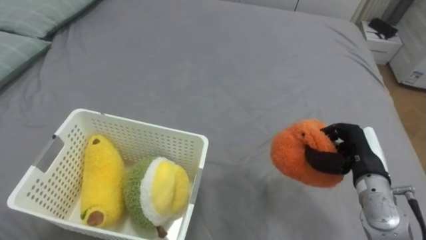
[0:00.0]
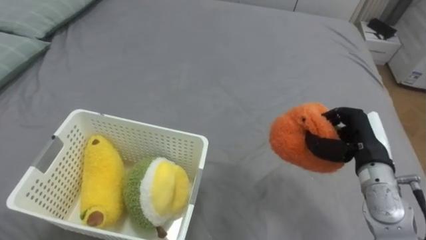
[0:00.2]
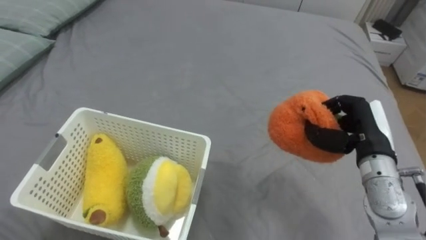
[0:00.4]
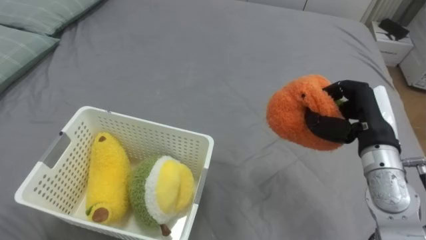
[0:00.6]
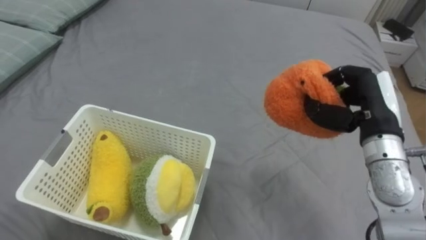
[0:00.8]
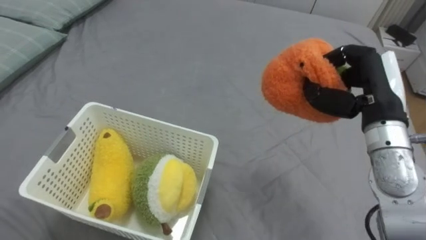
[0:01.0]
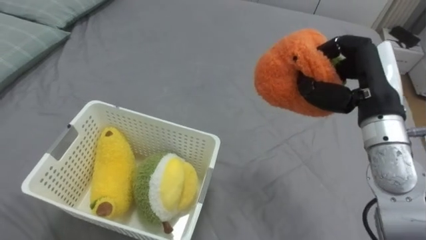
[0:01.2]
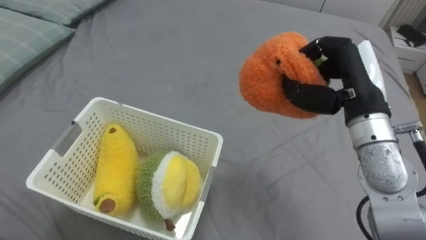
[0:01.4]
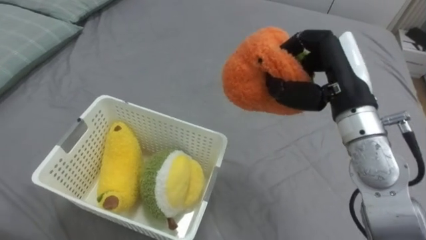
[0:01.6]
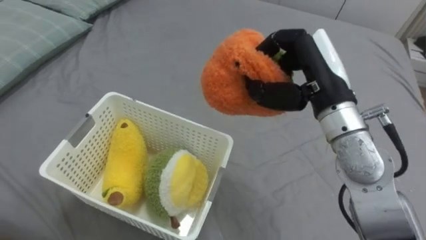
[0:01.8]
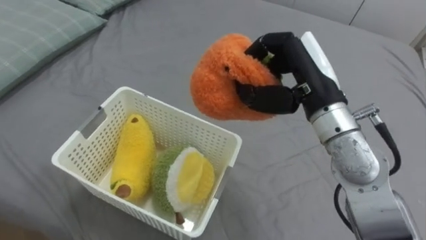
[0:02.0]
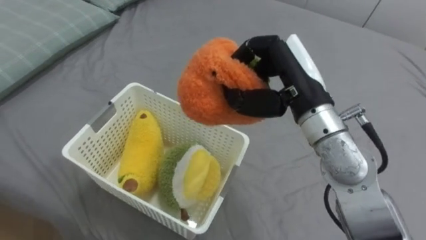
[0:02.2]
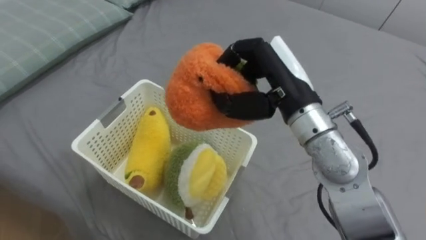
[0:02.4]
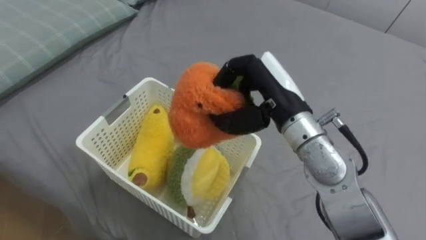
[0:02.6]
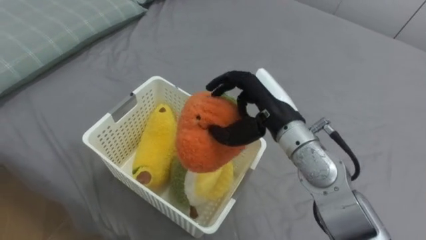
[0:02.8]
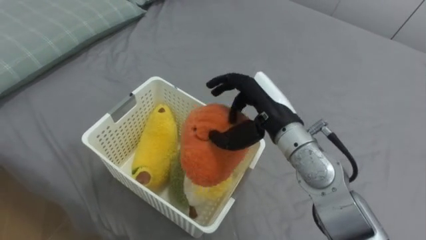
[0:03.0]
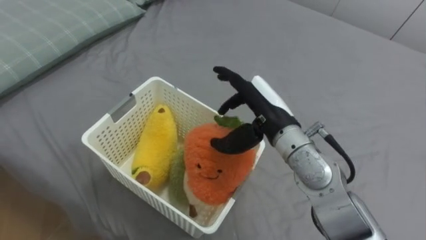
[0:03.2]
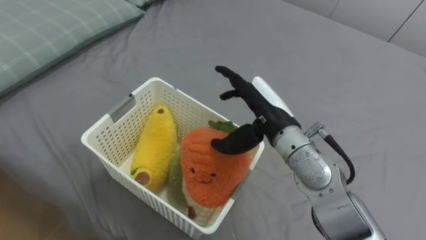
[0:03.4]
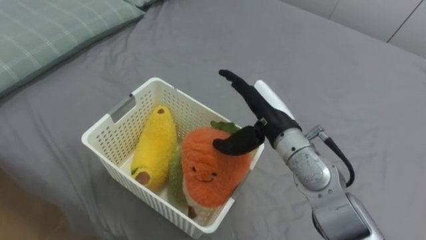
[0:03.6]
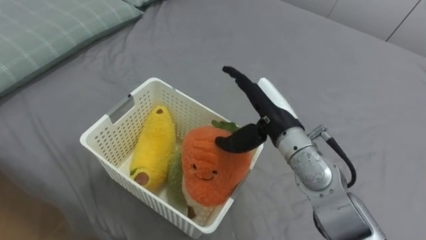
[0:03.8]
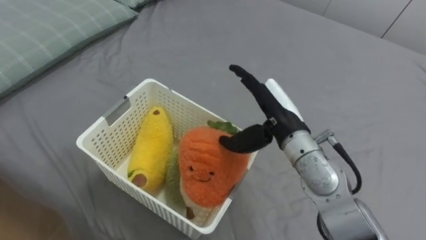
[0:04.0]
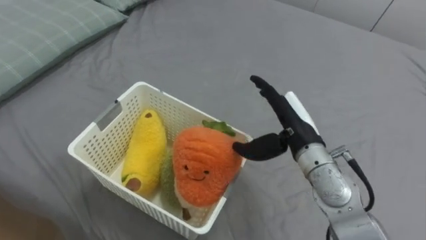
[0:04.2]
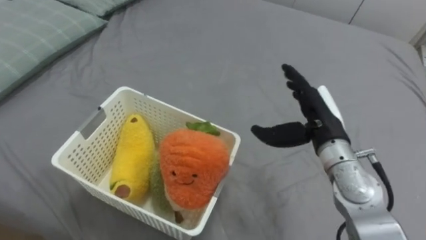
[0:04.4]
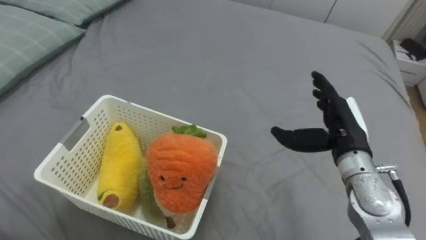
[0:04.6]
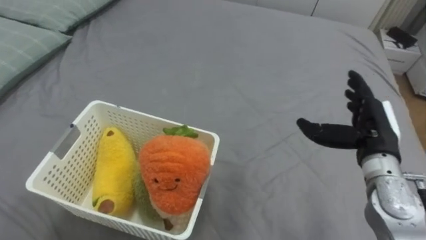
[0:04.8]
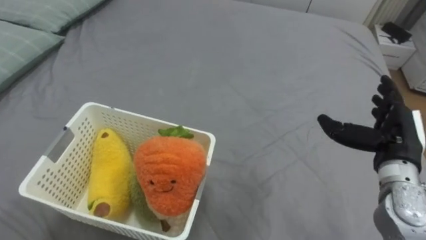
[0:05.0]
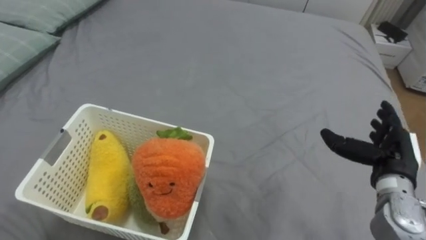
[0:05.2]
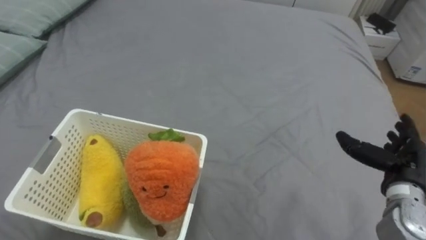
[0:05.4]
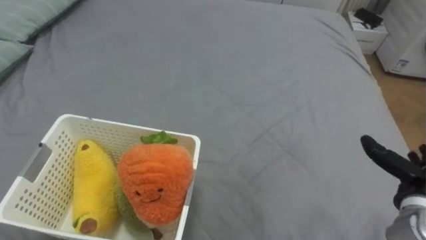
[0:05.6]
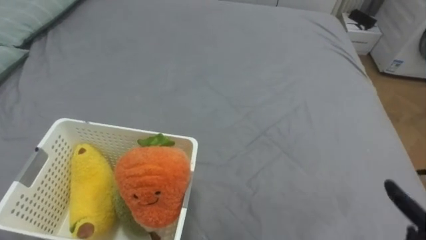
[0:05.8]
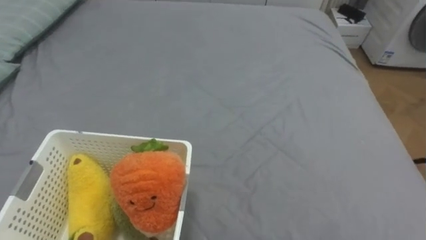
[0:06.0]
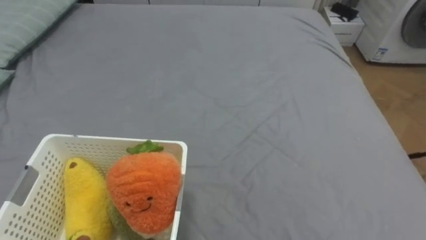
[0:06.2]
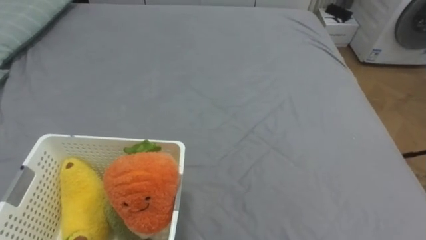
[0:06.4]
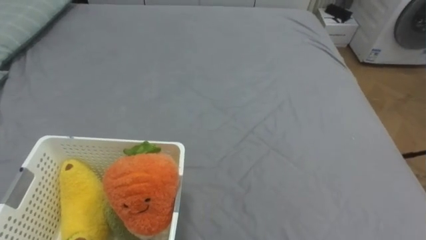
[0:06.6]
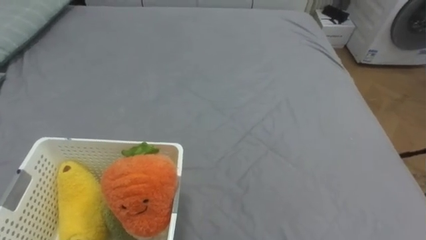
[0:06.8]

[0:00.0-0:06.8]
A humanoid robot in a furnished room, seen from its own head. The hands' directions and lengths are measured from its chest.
Task of the whole recording: Put the toys on the bed into the basket on the left.
0:00.0 to 0:01.4: The right hand is displaced upward and to the left by some 15 cm.
0:01.4 to 0:02.8: The right hand goes roughly 10 cm to the left.
0:02.8 to 0:04.0: The right hand opens.
0:04.0 to 0:05.4: The right hand shifts about 25 cm to the right.
